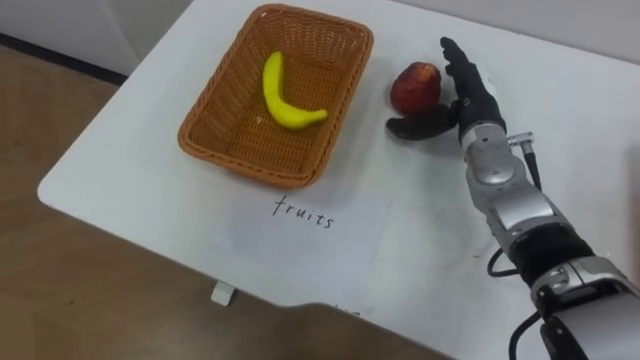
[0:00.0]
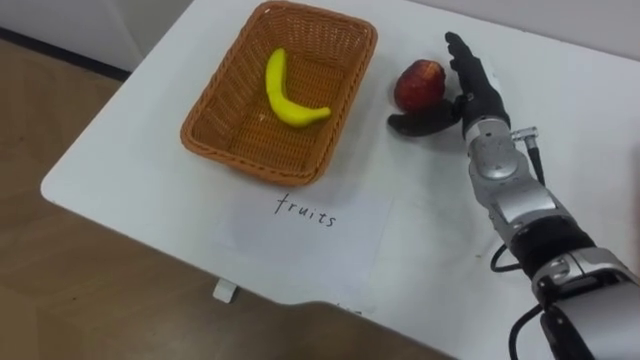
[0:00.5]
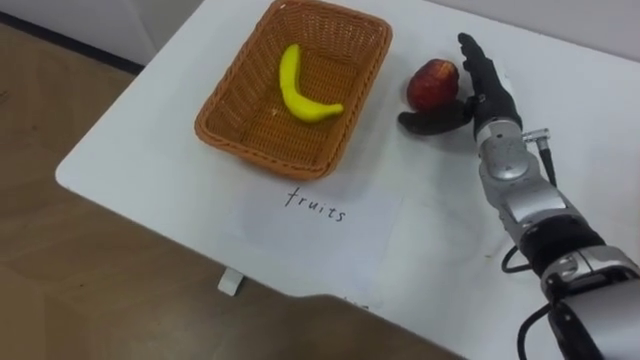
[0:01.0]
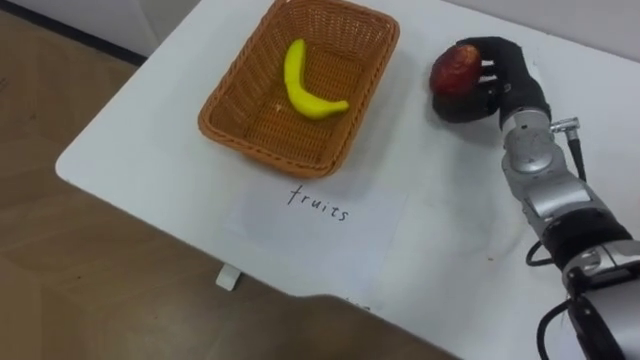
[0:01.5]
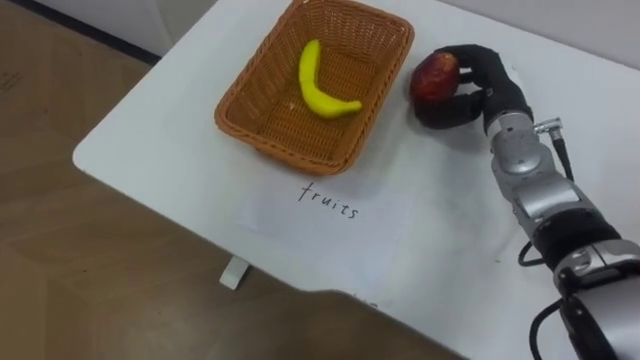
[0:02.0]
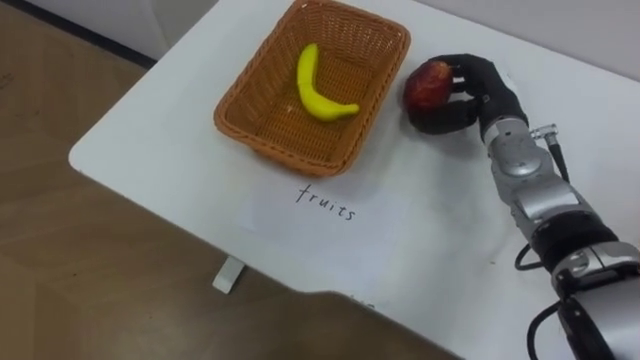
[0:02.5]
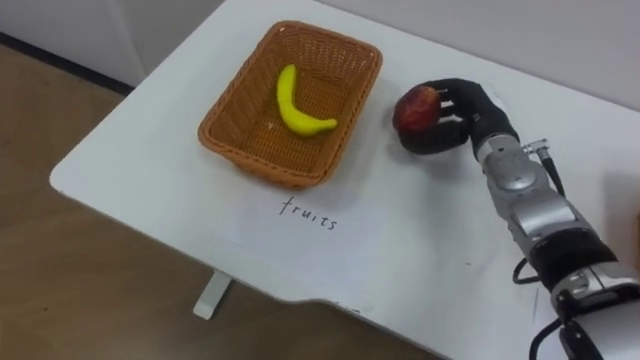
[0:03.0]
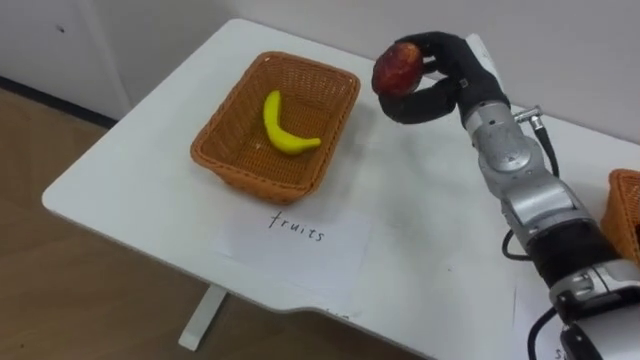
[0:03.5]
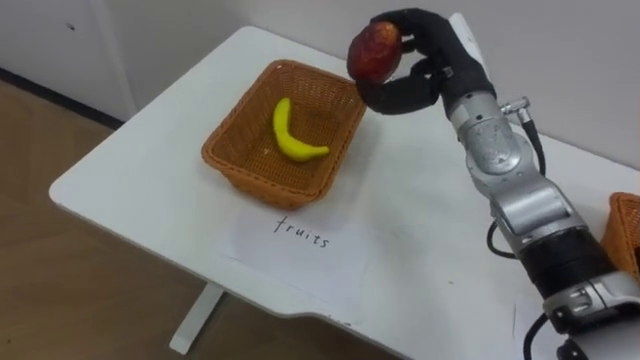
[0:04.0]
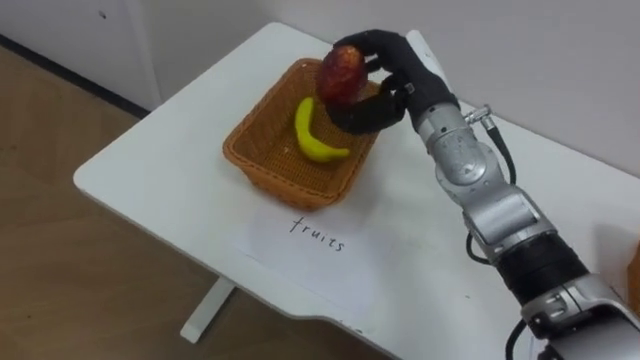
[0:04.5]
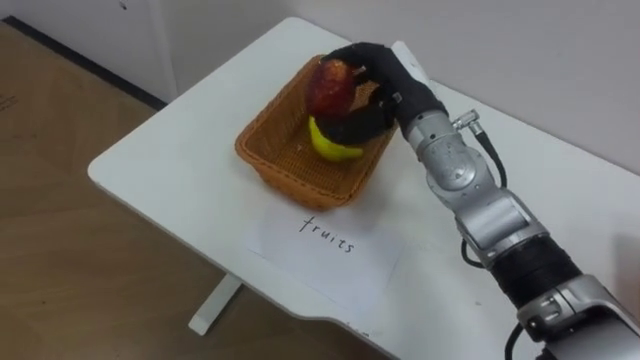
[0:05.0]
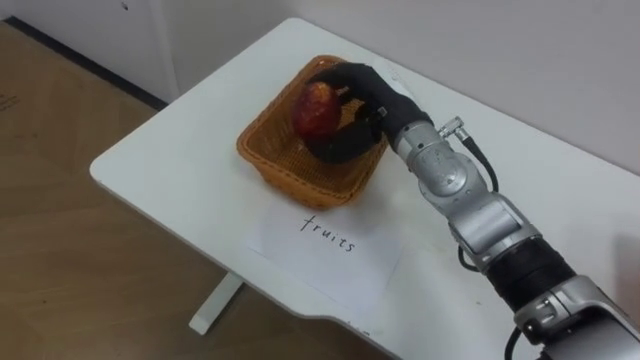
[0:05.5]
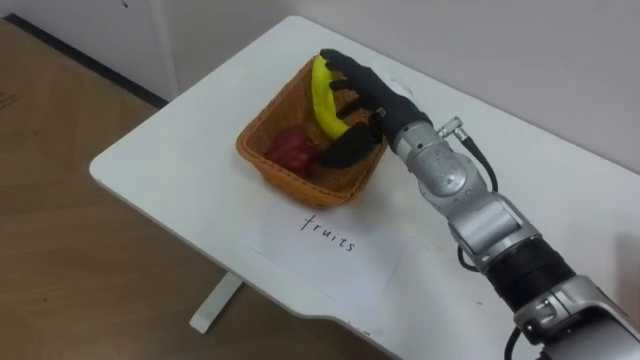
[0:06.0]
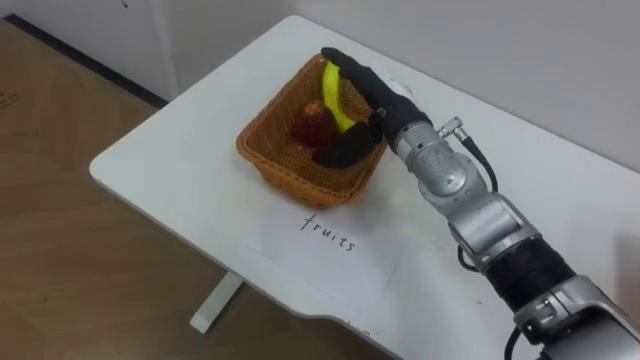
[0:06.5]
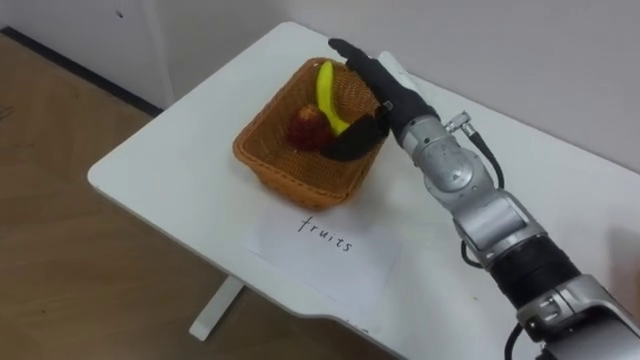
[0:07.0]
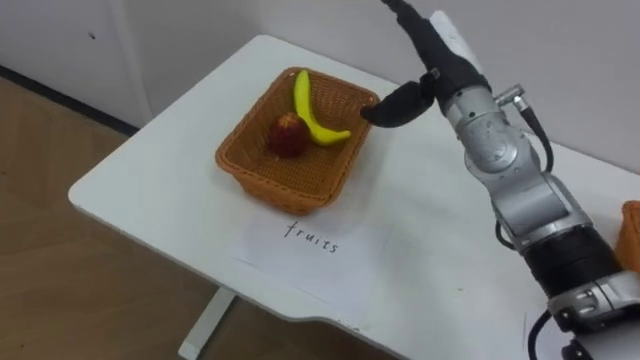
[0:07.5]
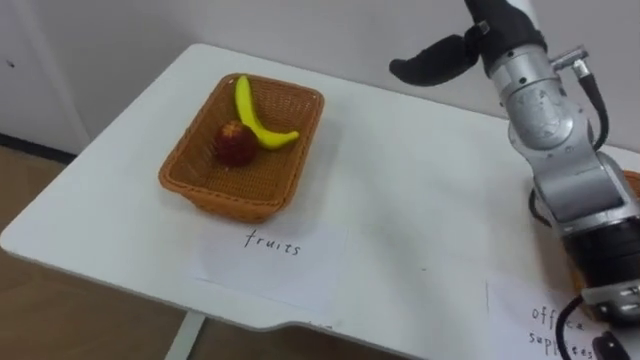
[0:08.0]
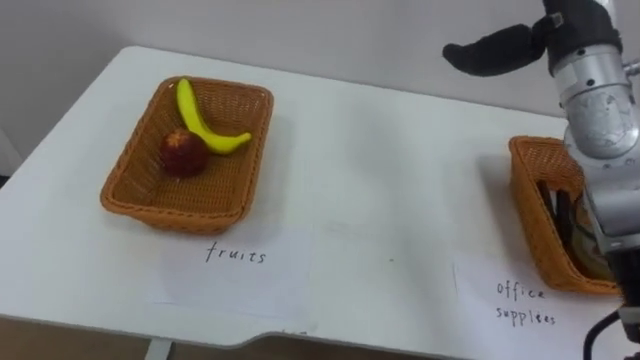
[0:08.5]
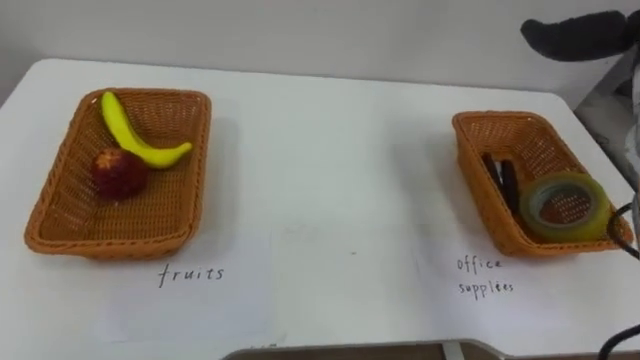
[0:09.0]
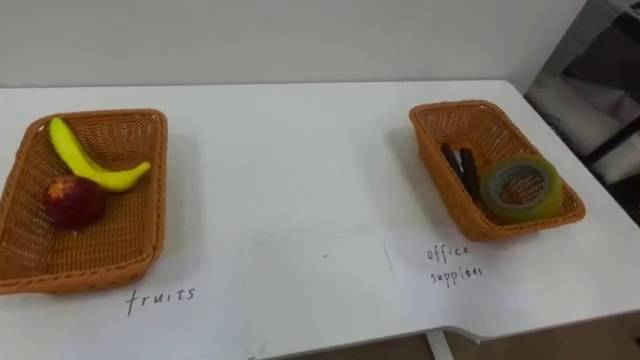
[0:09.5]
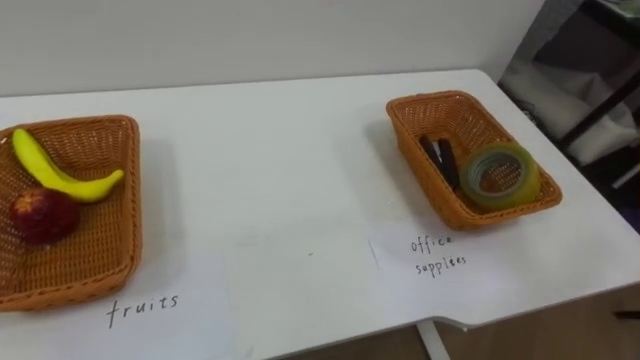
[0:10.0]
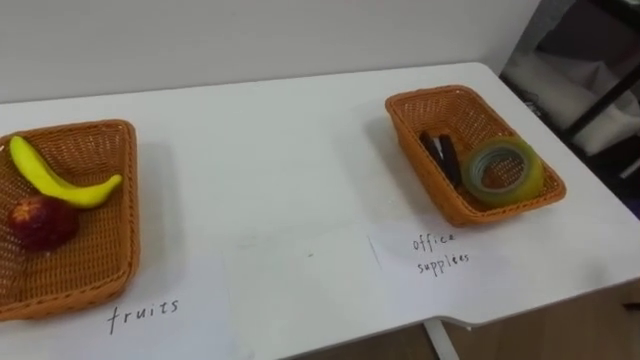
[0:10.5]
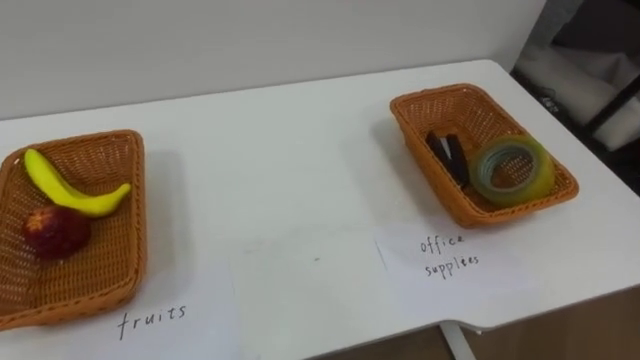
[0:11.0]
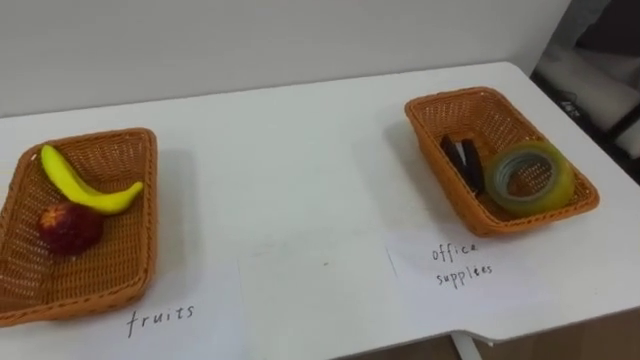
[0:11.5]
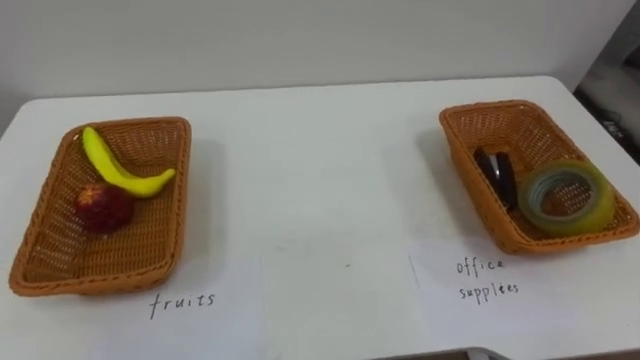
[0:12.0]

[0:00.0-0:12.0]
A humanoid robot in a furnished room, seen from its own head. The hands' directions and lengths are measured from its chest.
Task of the whole recording: Separate the items on the table and place them into the two baskets.
0:00.0 to 0:02.0: The right hand closes its fingers.
0:02.0 to 0:04.0: The right hand goes some 10 cm to the left and upward.
0:04.0 to 0:06.0: The right hand heads to the left, covering approximately 5 cm, and opens its fingers.
0:06.0 to 0:08.0: The right hand moves upward and to the right, some 15 cm.

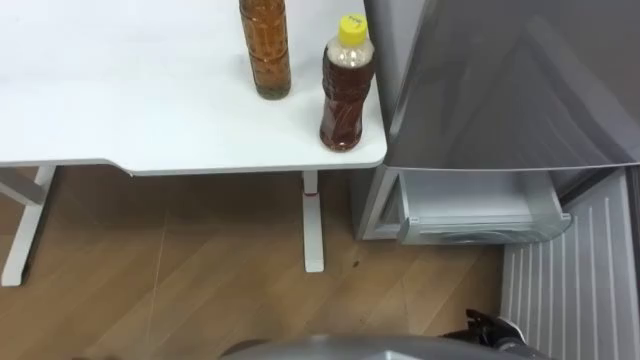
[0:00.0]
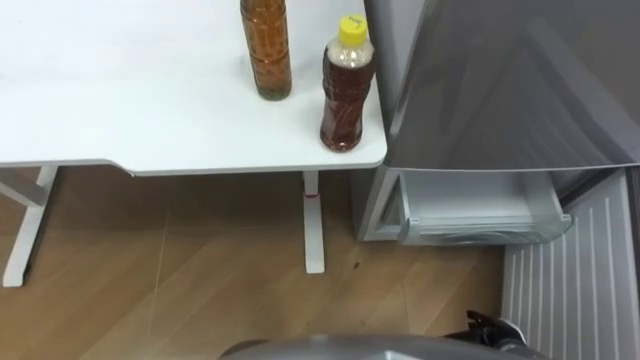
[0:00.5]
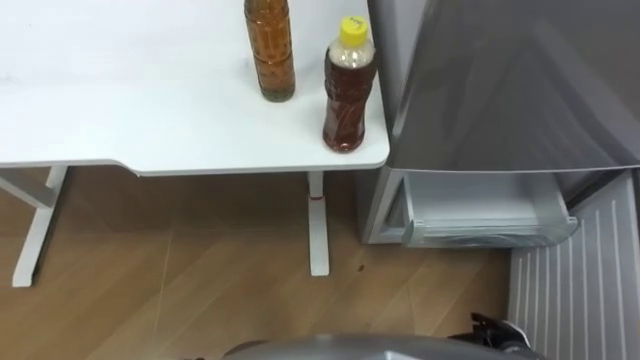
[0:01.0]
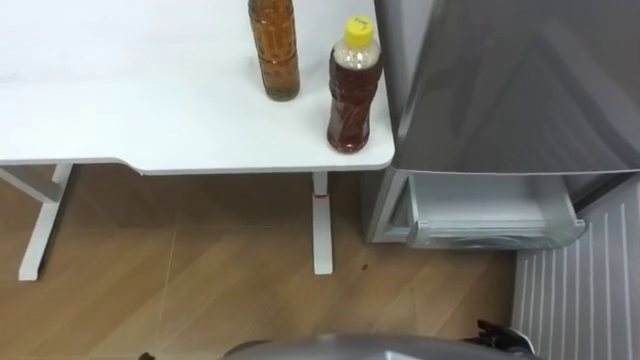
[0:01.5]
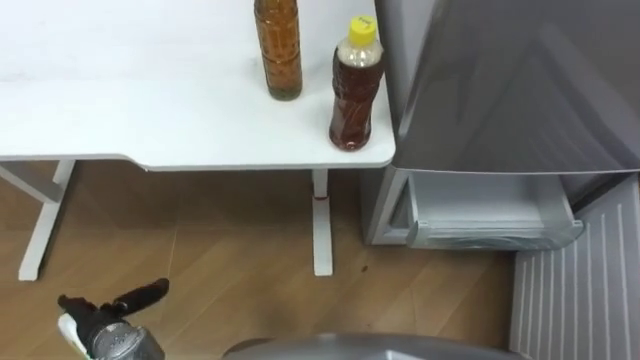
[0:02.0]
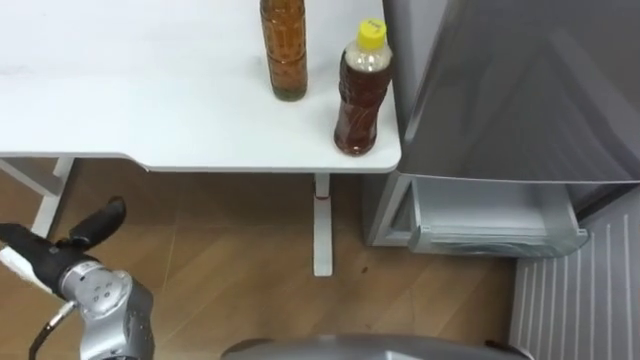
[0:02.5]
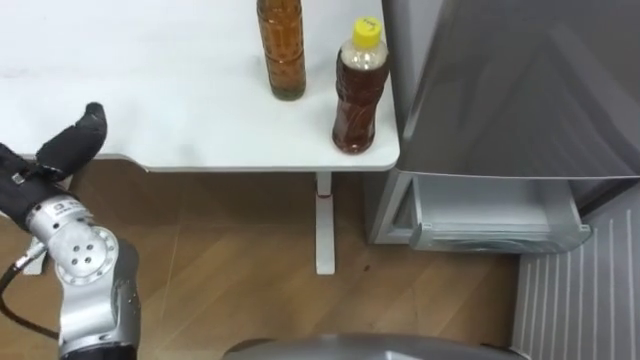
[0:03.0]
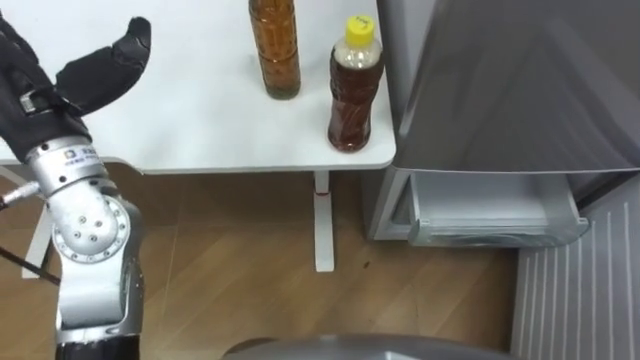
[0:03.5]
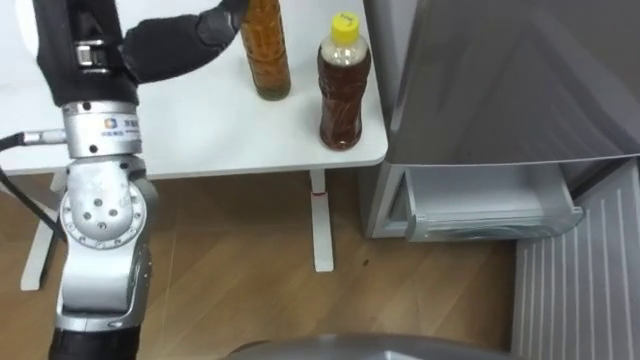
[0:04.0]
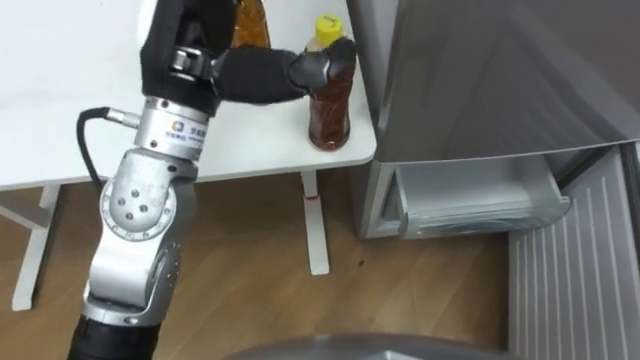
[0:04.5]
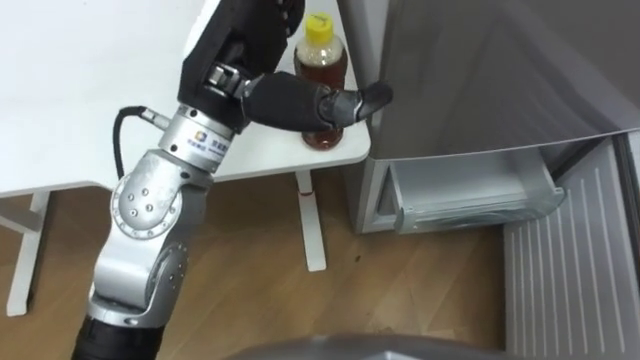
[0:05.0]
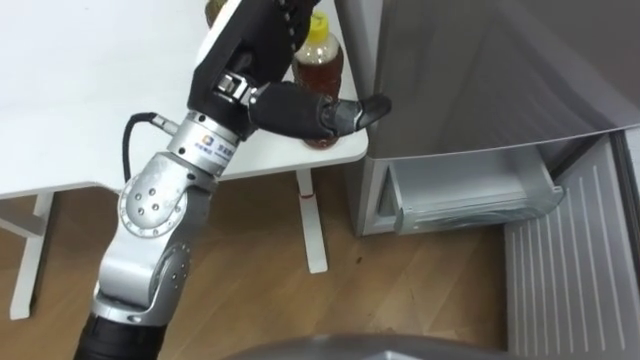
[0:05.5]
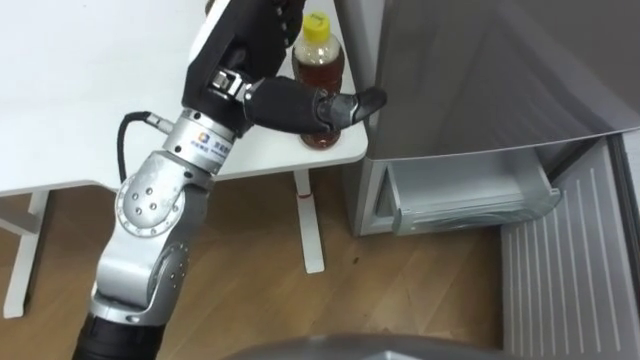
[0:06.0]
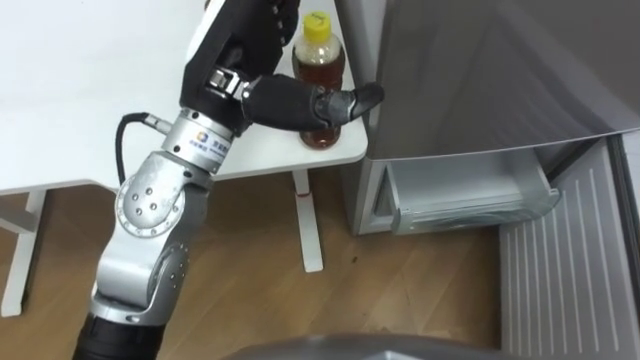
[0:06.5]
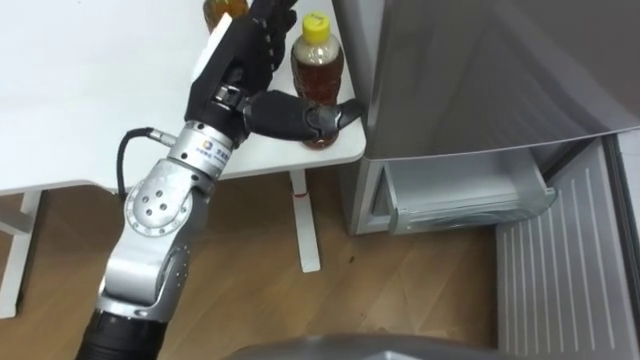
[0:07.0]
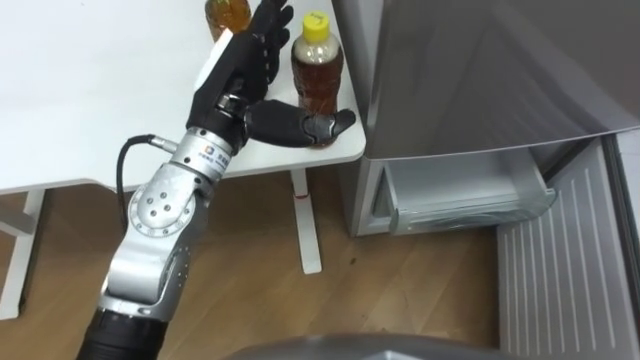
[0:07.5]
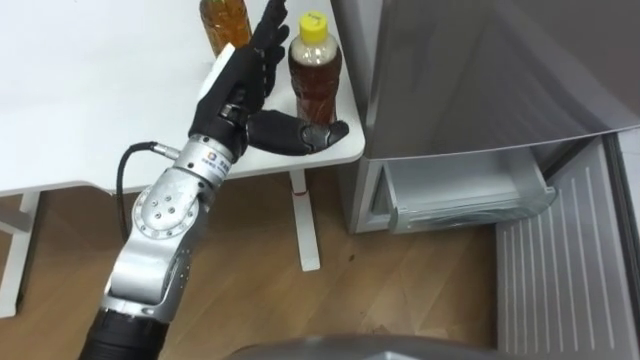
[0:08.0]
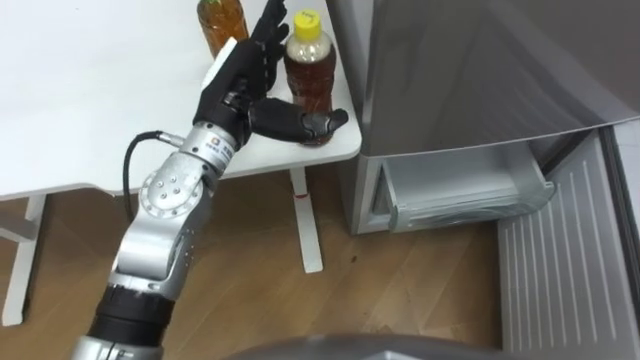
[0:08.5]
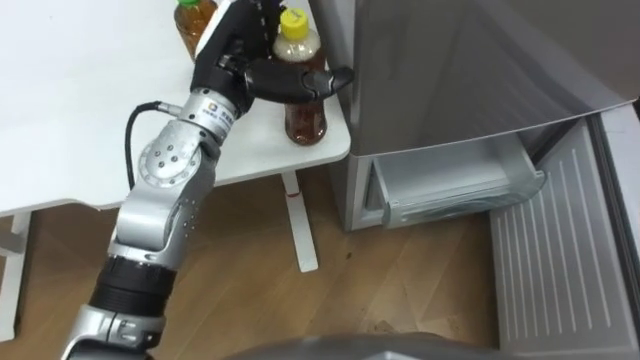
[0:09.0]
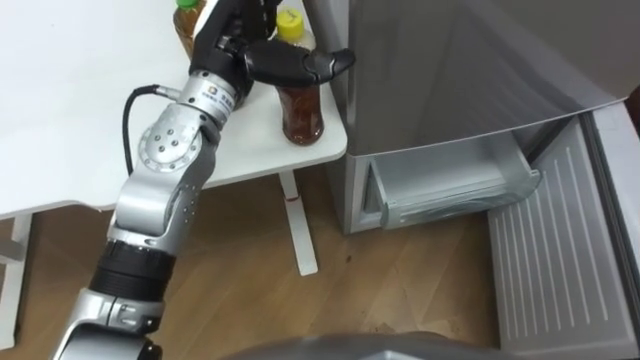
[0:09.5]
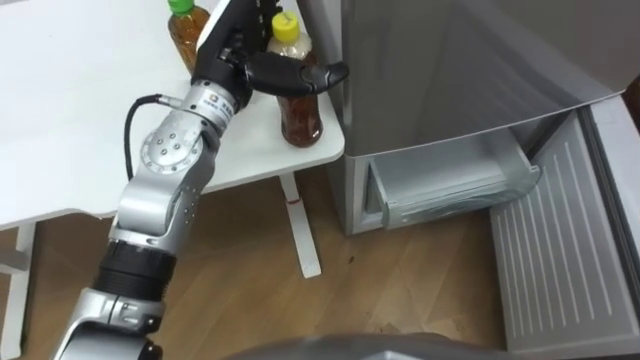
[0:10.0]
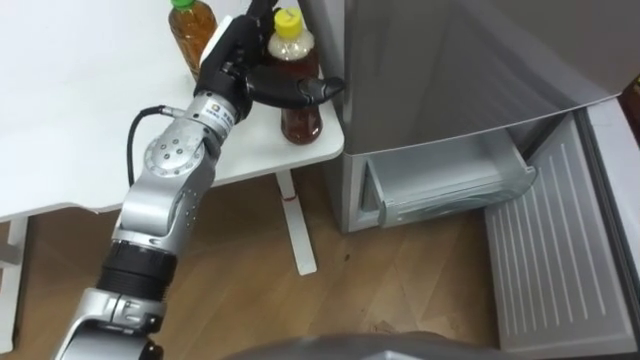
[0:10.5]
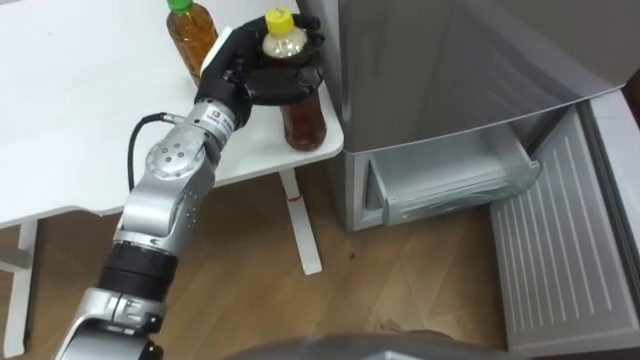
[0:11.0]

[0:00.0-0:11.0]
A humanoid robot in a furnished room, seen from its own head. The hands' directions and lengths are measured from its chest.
Task of the whole recording: Place the drink on the table on the bottom shelf of the refrigerator, then close the drawer and the refrigerator door.
0:02.0 to 0:03.5: The left hand shifts about 35 cm upward and forward.
0:03.5 to 0:05.5: The left hand shifts some 20 cm to the right.
0:05.5 to 0:07.5: The left hand travels downward by approximately 5 cm.
0:09.0 to 0:11.0: The left hand closes its fingers.
